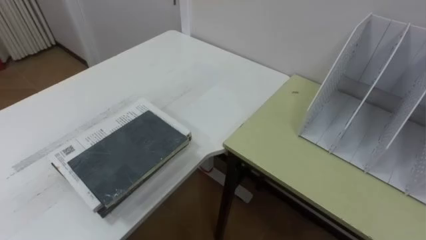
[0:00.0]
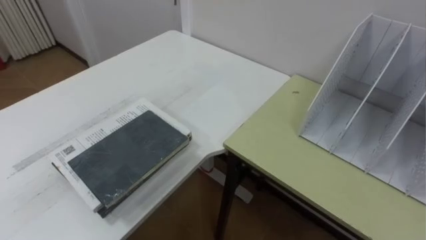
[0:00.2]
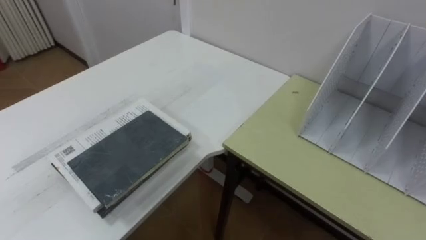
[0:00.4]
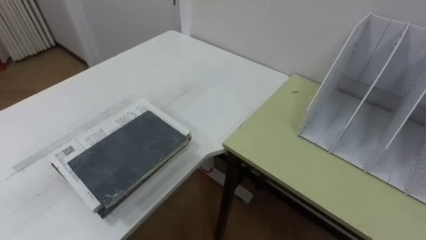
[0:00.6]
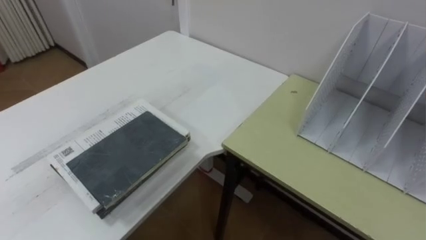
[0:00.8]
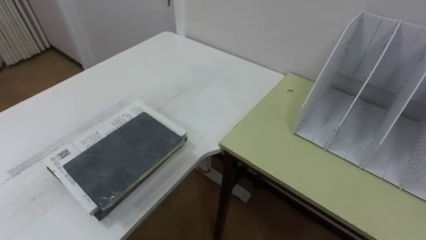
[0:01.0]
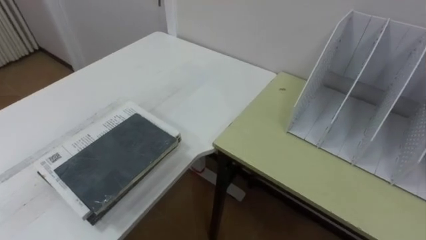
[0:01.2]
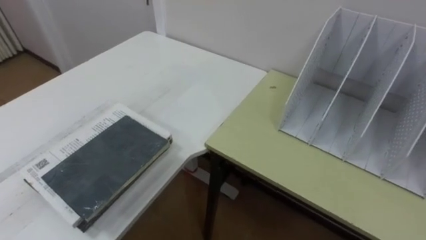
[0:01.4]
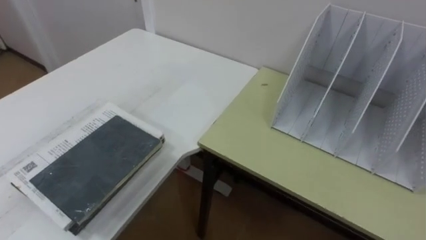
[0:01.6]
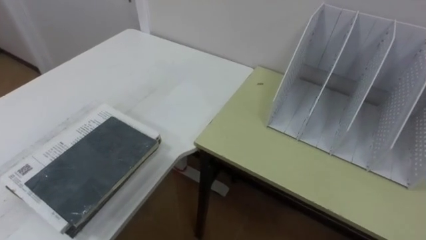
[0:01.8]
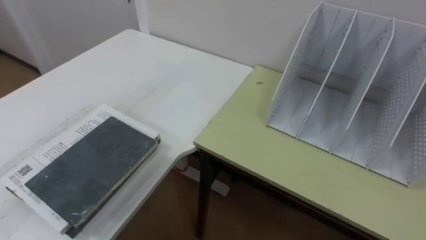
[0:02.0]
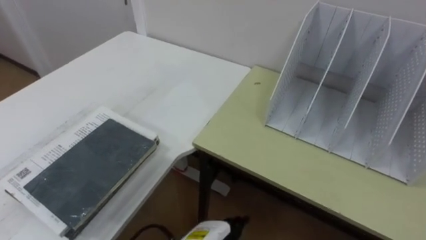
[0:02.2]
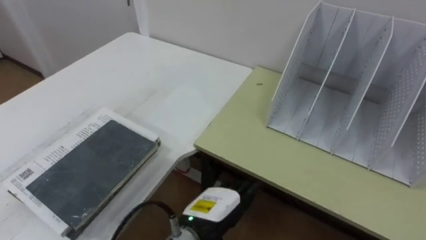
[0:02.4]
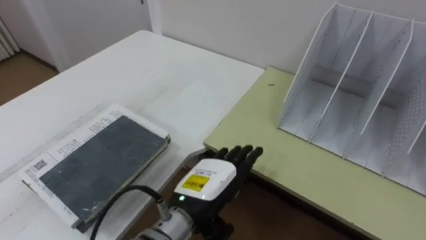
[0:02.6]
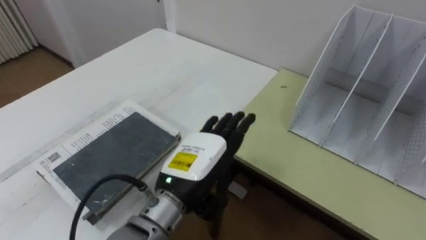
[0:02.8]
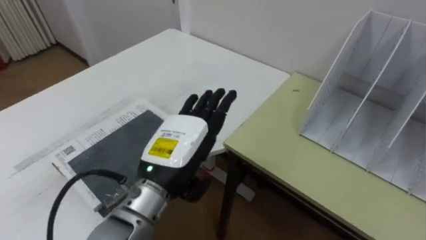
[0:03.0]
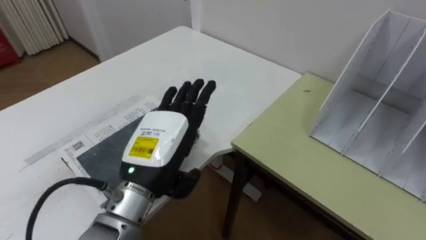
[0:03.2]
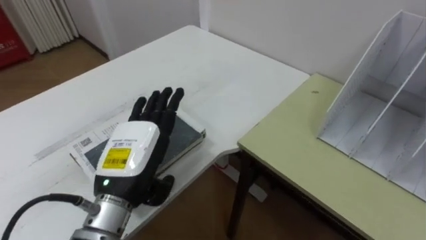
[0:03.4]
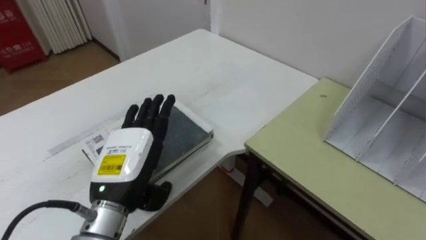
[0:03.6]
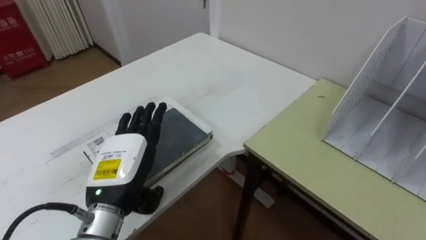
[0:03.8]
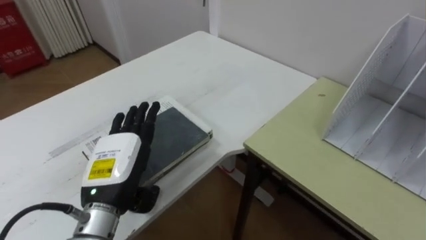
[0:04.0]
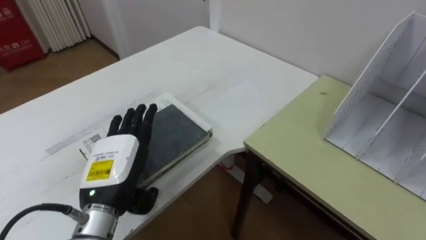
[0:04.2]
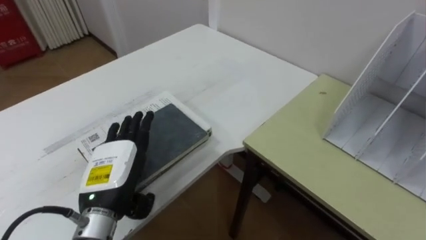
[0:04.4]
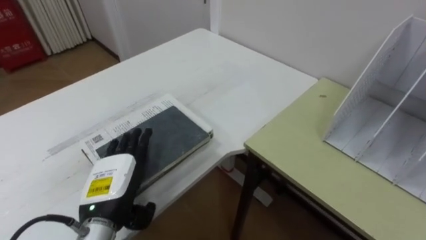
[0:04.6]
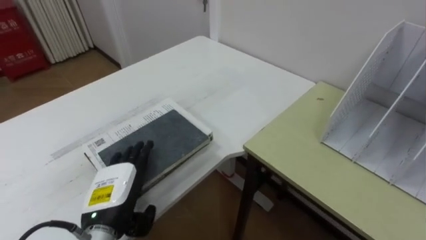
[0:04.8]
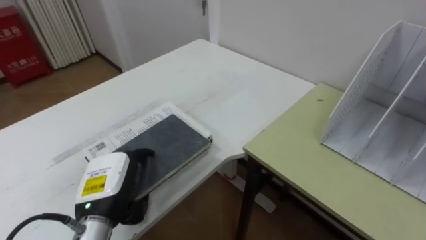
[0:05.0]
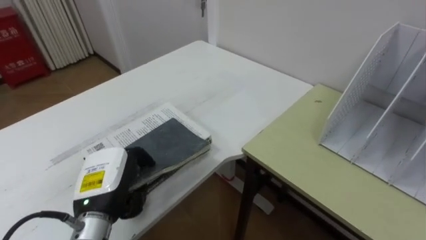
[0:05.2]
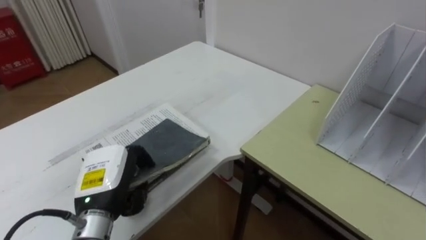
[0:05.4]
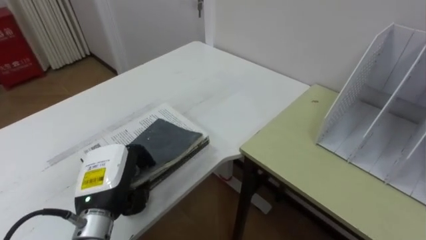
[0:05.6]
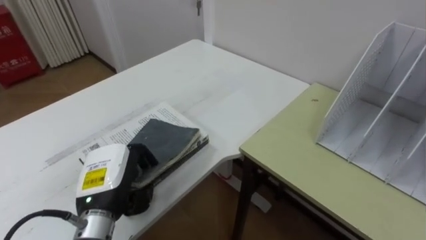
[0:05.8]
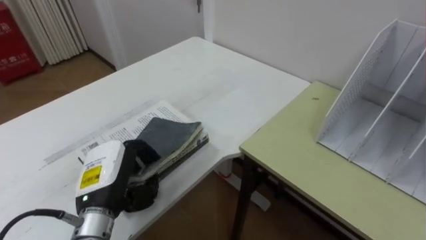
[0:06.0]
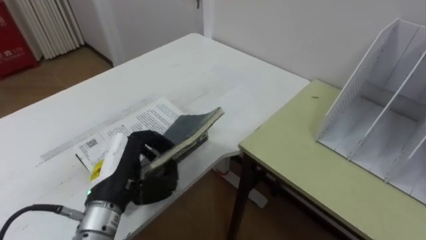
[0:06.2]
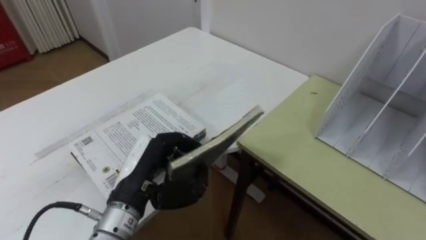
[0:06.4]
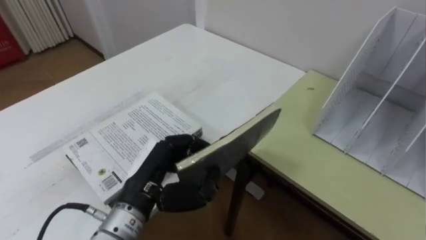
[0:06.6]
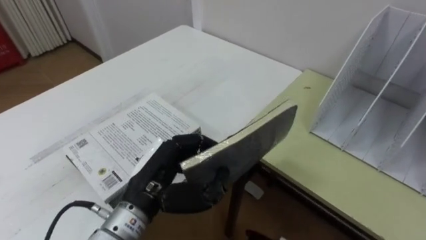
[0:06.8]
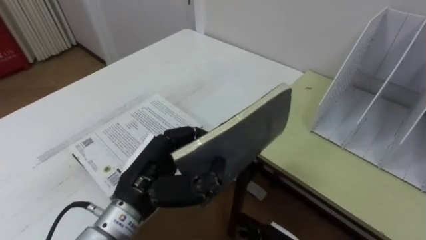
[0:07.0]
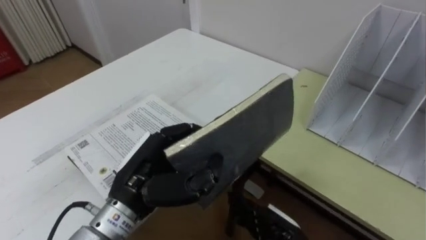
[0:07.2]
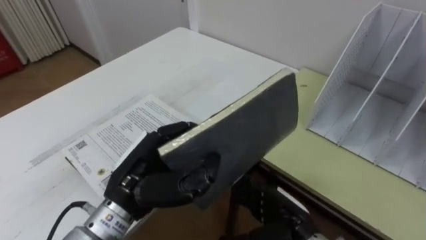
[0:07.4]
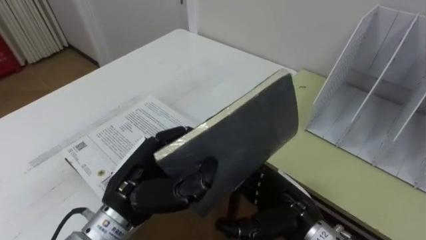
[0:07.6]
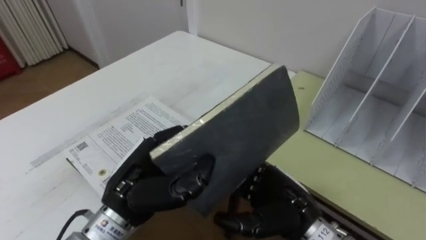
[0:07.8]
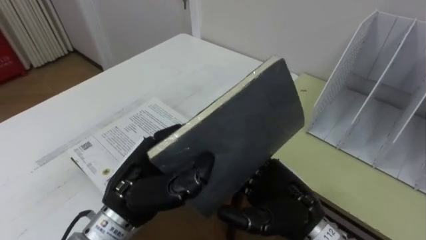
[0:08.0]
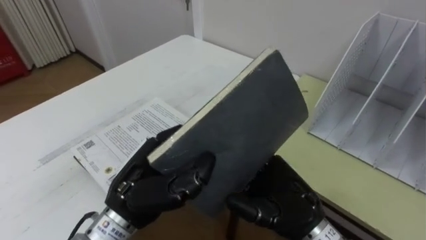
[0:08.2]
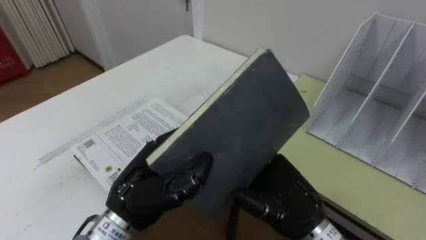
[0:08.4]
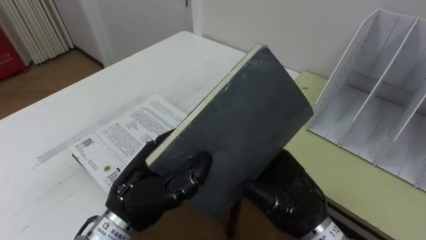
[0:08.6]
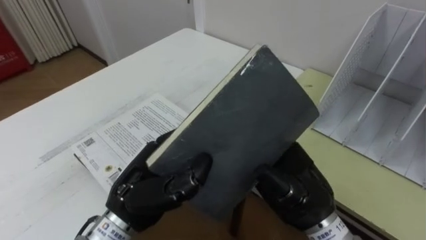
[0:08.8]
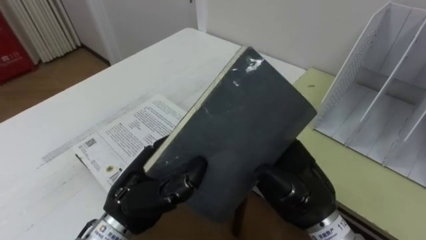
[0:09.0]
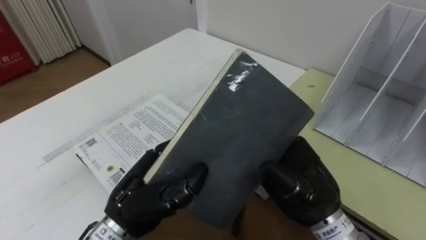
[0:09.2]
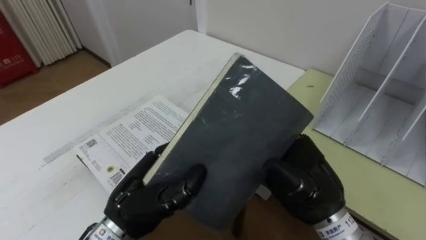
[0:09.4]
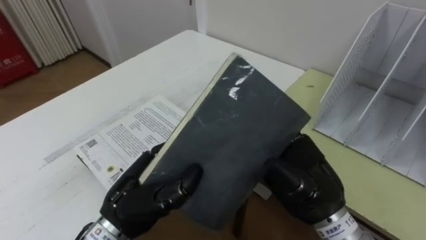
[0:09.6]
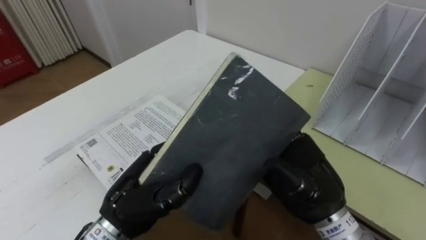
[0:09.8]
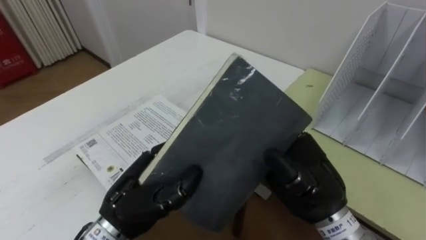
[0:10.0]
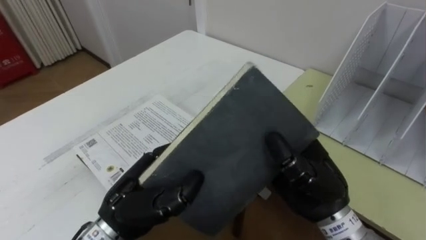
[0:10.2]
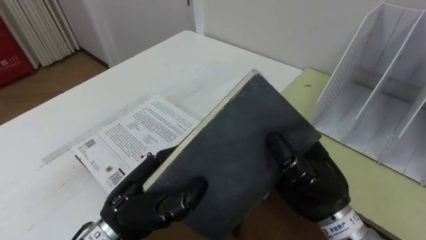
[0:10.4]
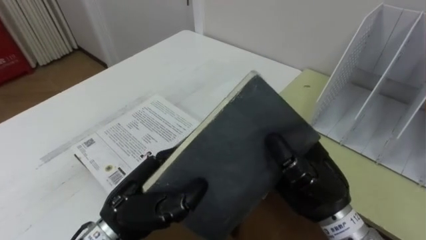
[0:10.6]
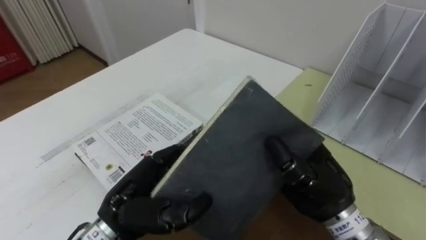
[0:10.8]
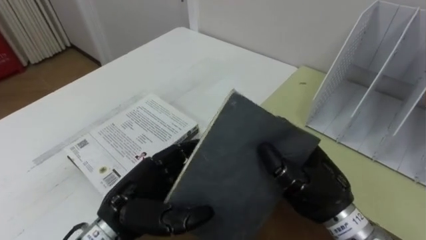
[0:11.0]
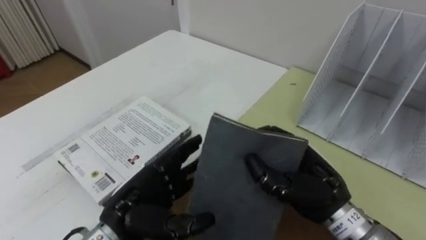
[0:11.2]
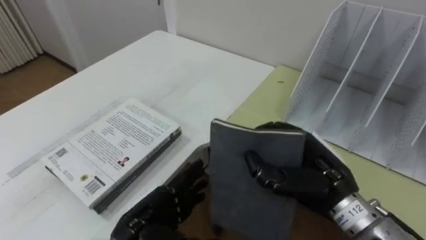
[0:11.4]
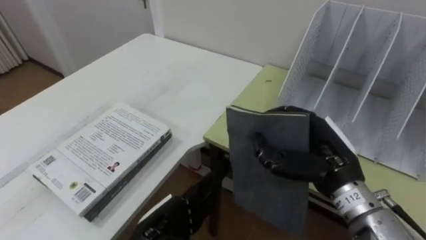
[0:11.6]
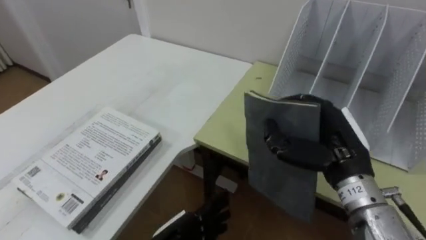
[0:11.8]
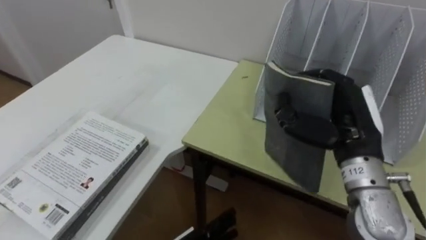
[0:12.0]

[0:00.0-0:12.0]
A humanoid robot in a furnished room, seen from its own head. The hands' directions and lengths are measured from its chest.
Task of the whole recording: Put the books on the table onto the bookshelf.
0:03.0 to 0:04.4: The left hand moves to the left and downward, roughly 10 cm.
0:04.4 to 0:06.0: The left hand closes up.
0:06.0 to 0:07.6: The left hand is displaced to the right by approximately 5 cm.
0:07.6 to 0:09.0: The right hand travels upward by roughly 10 cm.
0:09.0 to 0:10.4: The right hand closes its fingers.
0:10.4 to 0:12.0: The right hand heads to the right, covering some 5 cm.

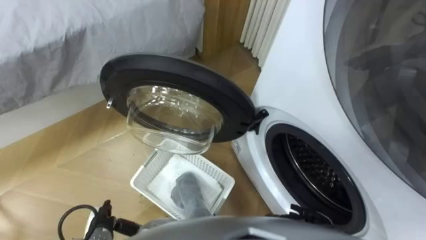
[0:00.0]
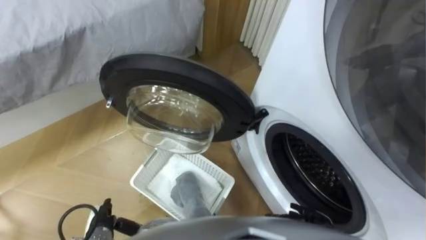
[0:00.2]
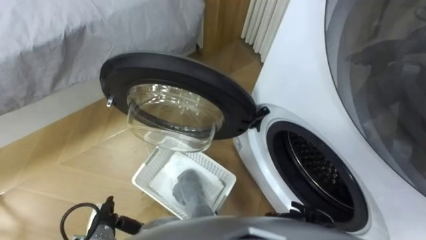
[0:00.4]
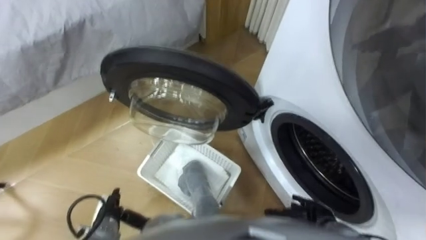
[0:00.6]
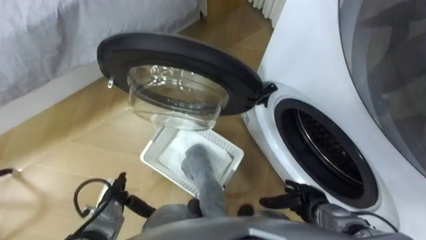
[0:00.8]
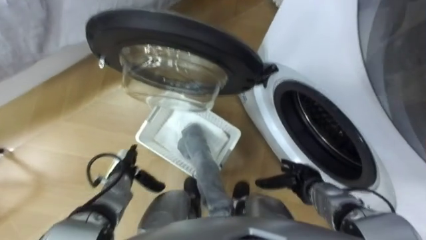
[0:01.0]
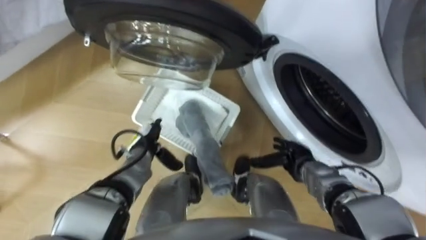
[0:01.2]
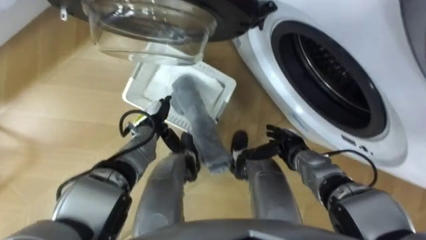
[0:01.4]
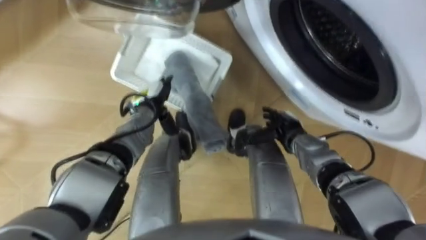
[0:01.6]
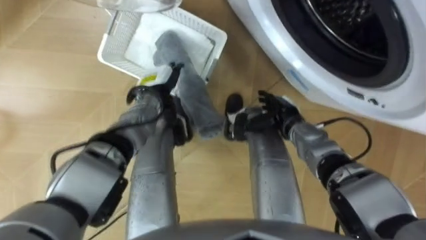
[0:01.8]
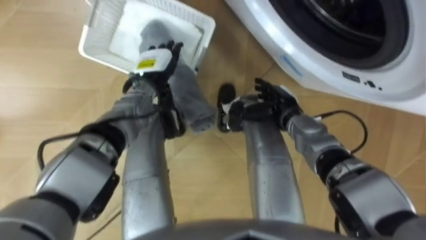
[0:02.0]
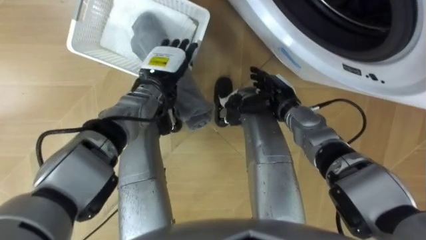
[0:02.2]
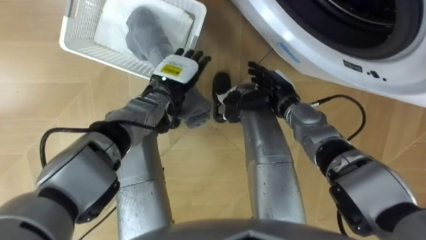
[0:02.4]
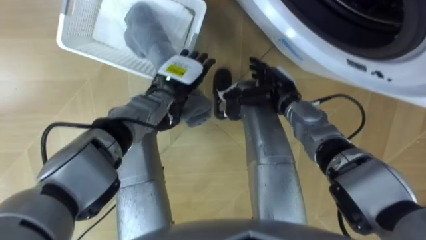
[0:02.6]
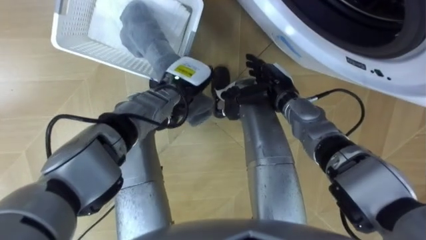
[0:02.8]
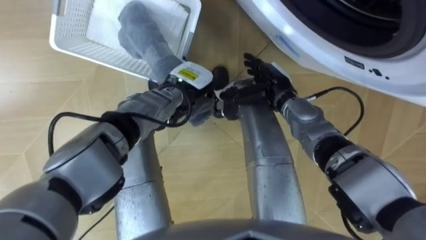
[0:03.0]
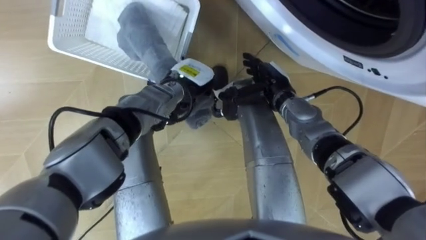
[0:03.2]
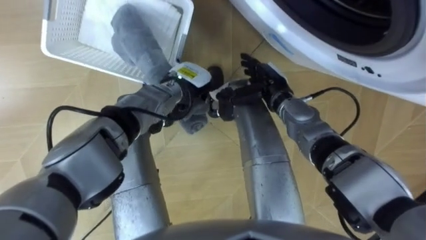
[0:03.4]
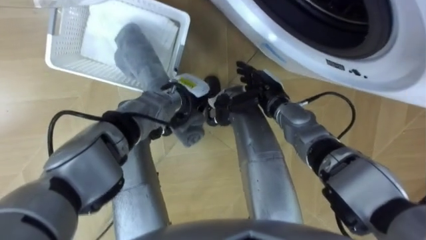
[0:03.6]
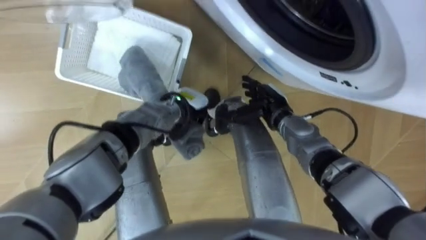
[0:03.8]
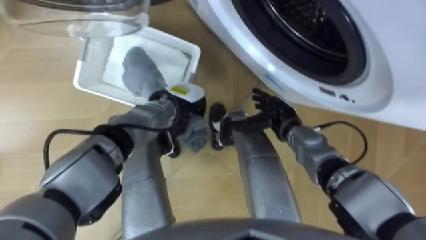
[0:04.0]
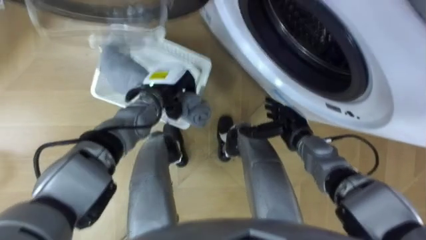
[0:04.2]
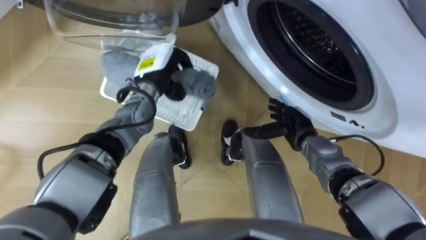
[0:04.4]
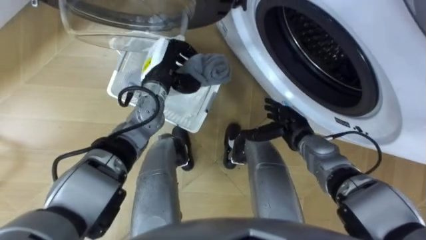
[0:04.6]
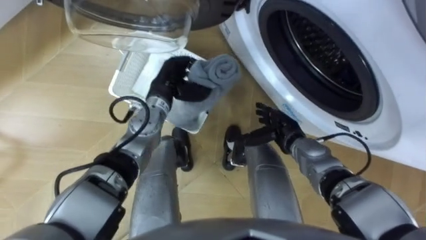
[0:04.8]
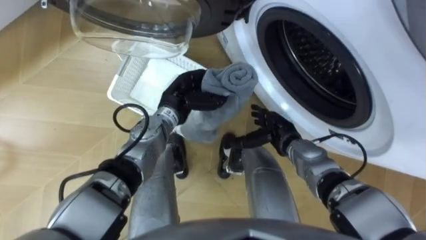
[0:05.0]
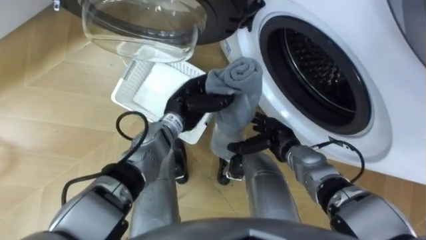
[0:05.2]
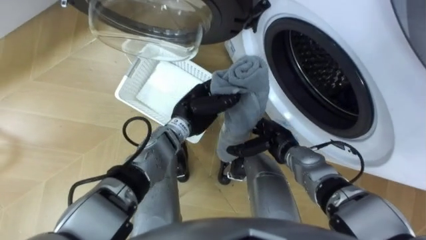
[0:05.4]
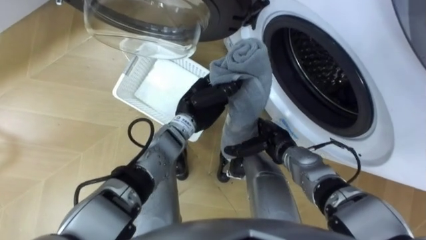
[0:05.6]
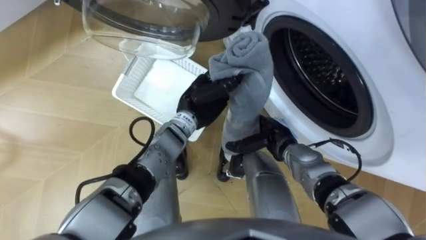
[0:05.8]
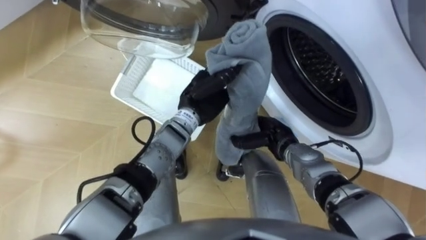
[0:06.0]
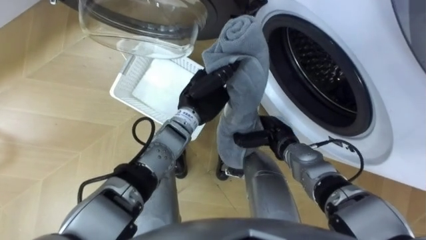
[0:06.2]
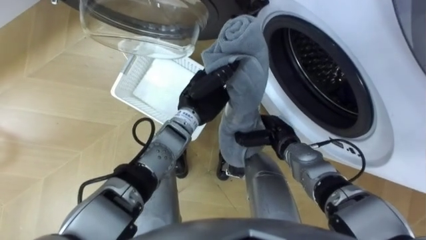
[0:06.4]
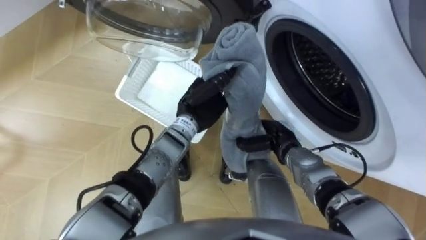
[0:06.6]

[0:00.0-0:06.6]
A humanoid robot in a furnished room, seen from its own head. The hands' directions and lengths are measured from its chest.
Task of the whole recording: Take the towel from the basket and put it into the washing machine.
0:01.6 to 0:03.2: The left hand is displaced to the right by roughly 10 cm, and closes up. The right hand shifts roughly 10 cm upward and forward.
0:03.2 to 0:05.0: The right hand heads backward and downward, covering about 10 cm.
0:05.0 to 0:06.6: The right hand closes up. The left hand changes place by about 5 cm.
